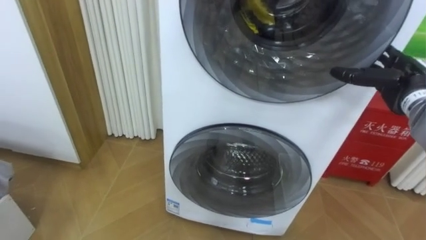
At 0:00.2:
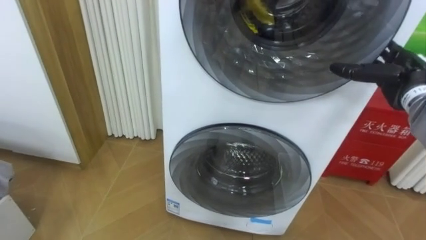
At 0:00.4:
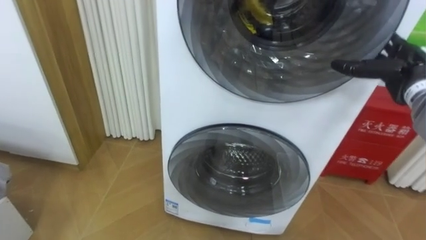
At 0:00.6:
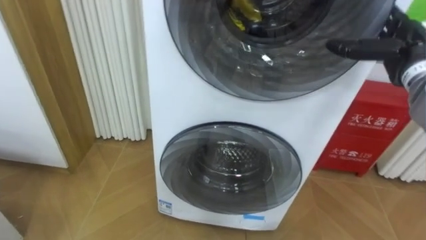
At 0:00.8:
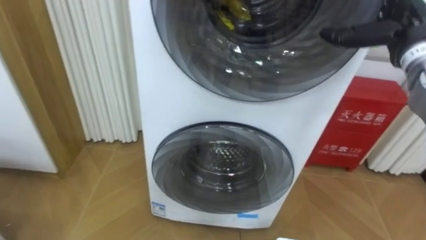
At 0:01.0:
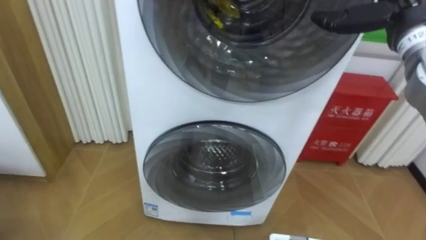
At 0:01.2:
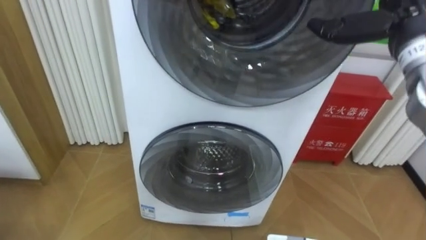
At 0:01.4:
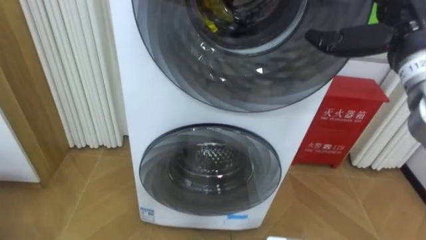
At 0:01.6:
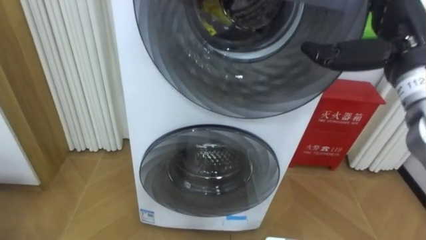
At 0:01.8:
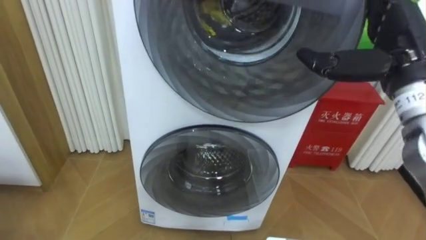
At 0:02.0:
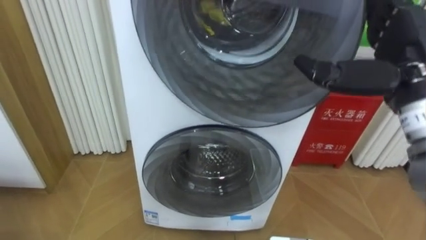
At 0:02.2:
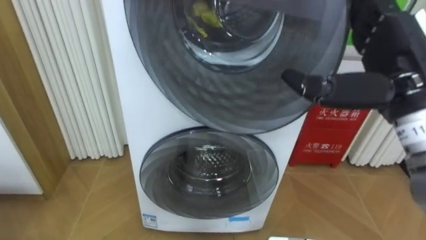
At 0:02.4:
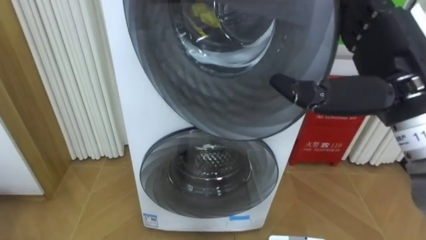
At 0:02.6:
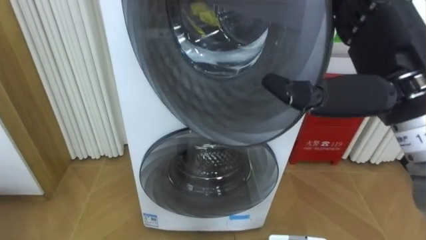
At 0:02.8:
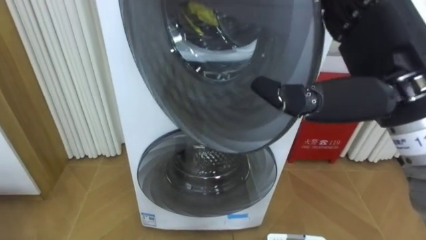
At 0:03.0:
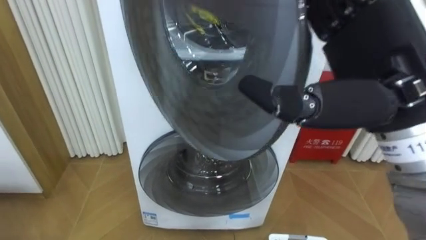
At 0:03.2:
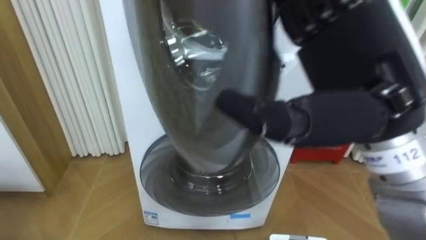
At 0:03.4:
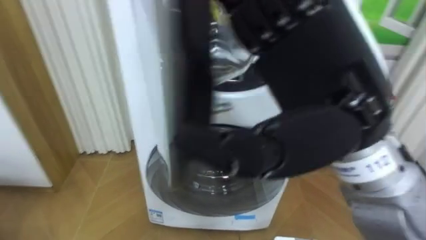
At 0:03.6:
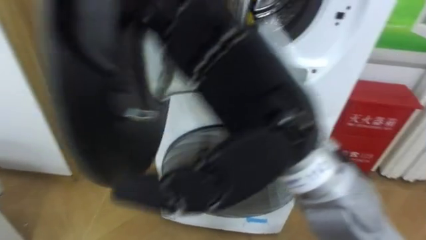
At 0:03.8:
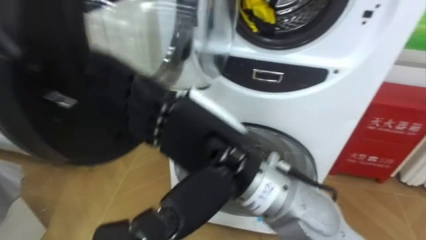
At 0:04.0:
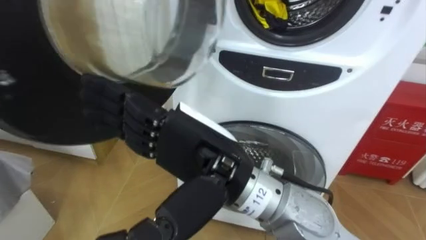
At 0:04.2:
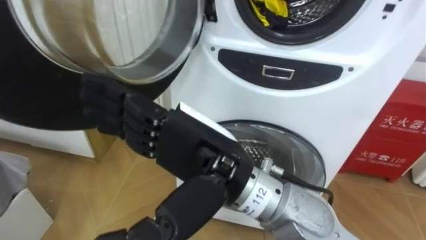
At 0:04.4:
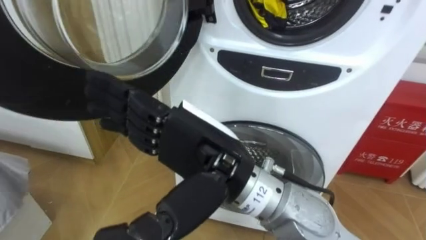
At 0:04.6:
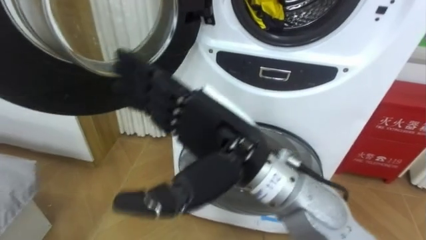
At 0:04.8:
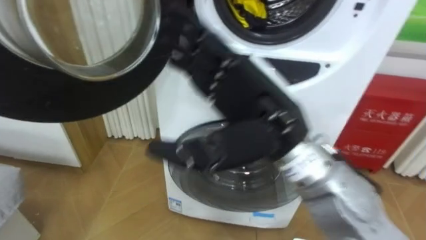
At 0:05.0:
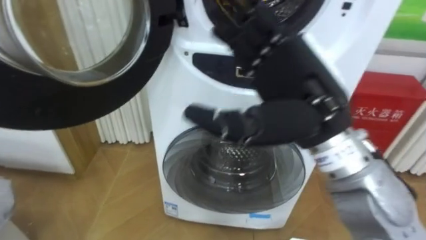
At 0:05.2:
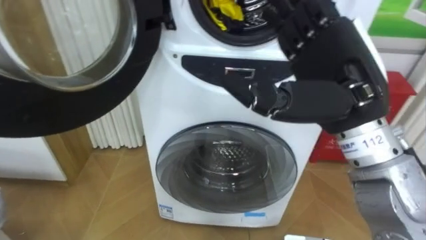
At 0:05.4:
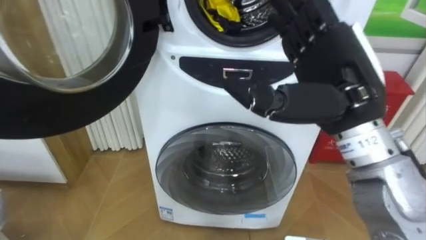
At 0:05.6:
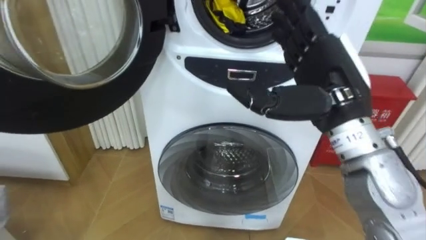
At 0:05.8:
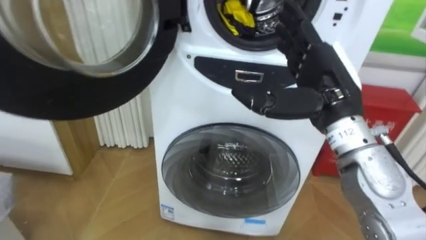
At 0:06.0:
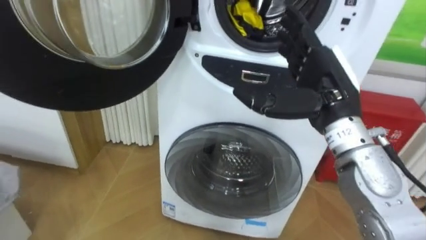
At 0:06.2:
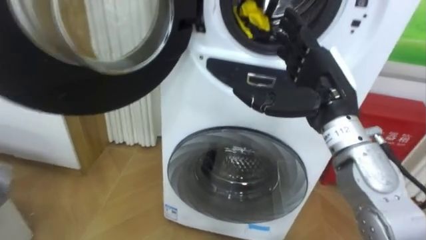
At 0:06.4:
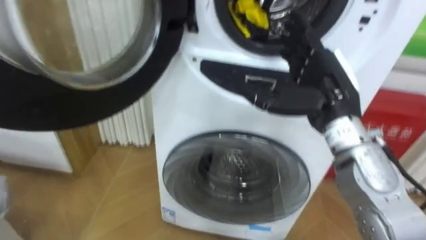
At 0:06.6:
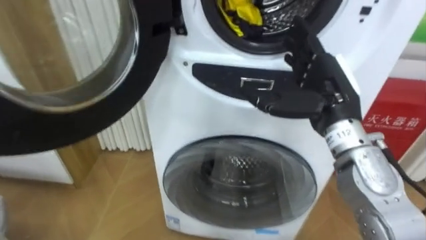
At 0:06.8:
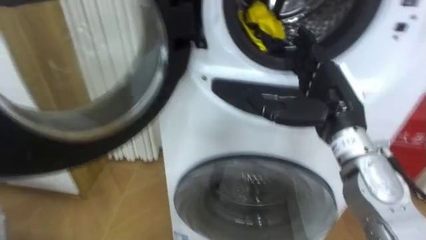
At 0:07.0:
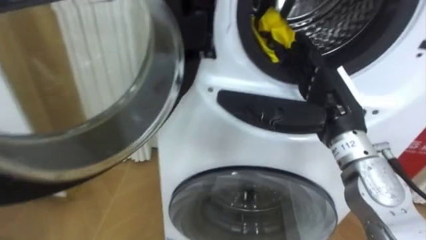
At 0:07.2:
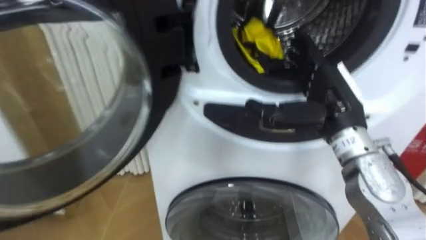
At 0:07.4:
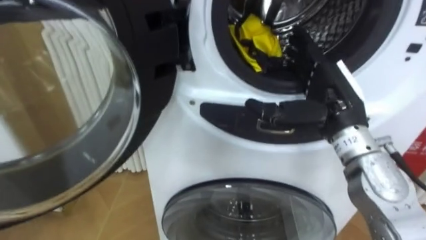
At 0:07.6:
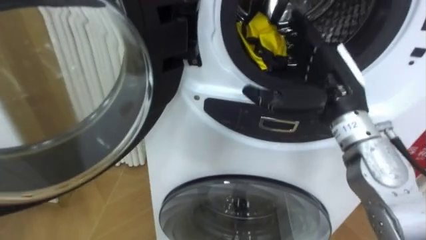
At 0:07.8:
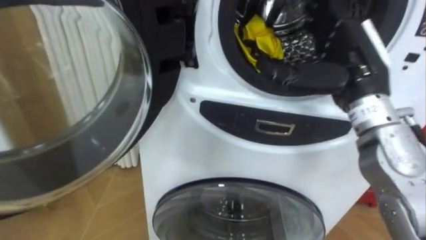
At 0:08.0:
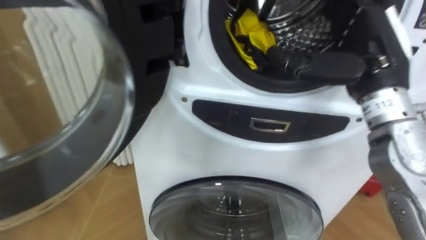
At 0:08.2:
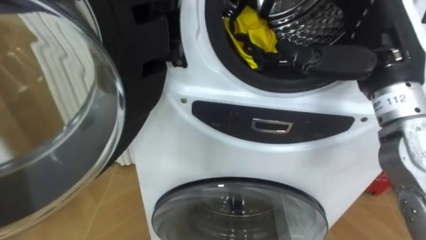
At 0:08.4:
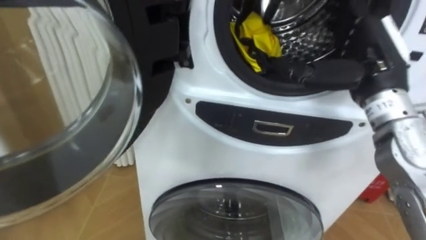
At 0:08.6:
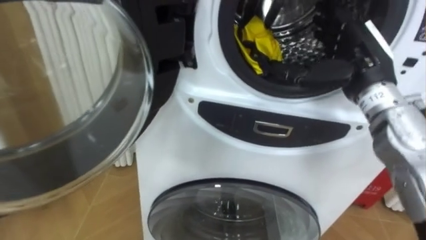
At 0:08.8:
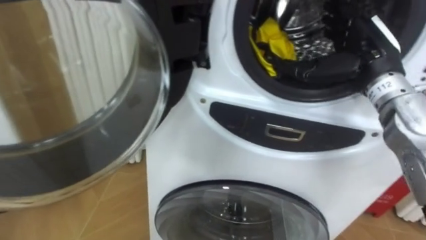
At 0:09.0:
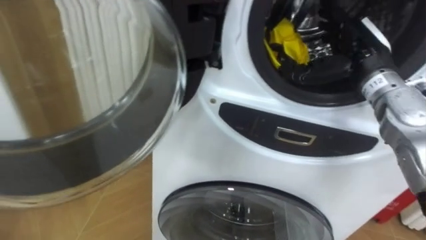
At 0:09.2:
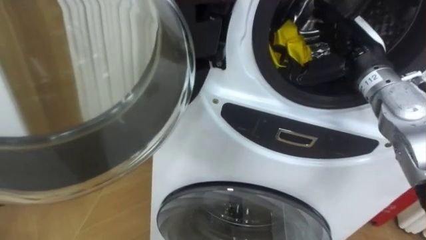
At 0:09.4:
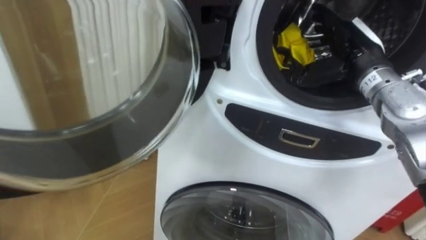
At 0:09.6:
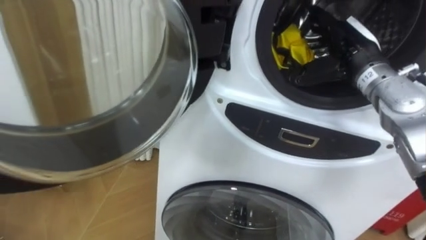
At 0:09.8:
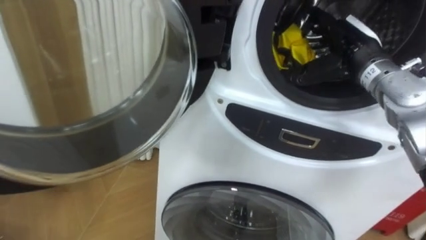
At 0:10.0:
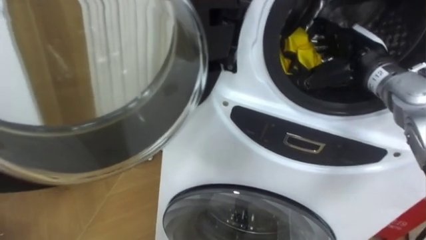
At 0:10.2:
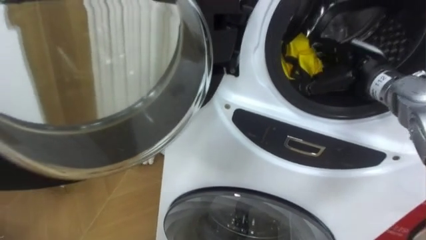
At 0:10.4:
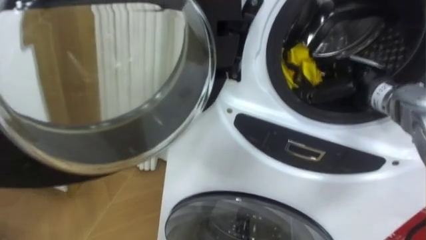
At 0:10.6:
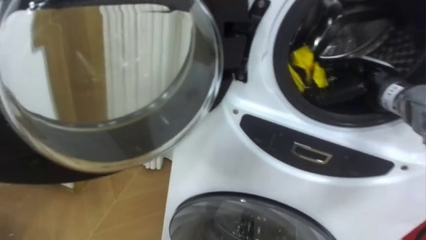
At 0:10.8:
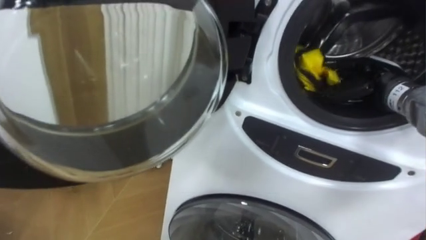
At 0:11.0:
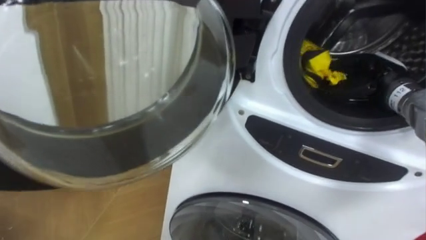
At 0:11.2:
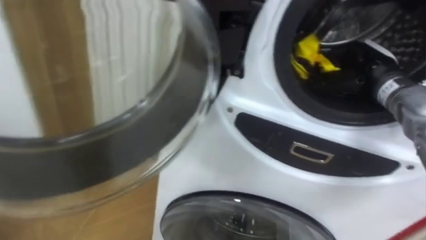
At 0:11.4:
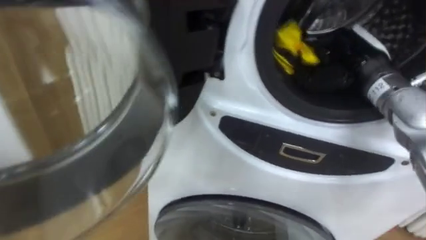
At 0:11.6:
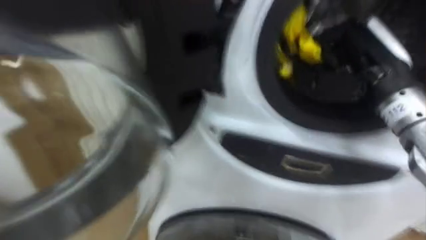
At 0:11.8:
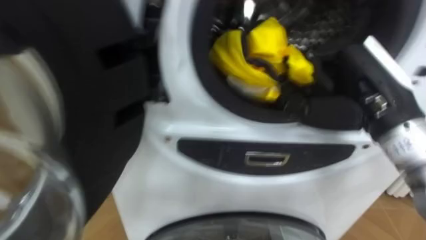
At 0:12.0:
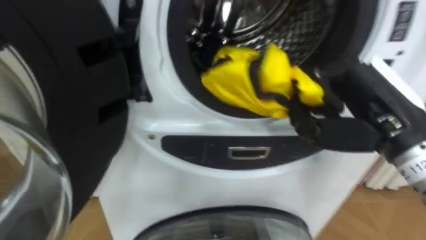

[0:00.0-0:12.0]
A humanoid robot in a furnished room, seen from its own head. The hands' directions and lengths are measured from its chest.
Task of the whole recording: Open the washing machine door, take out the yellow clothes, place them in the box on the right, and close the washing machine door.
0:00.0 to 0:01.6: The right hand moves upward, to the left and backward, approximately 15 cm.
0:01.6 to 0:03.0: The right hand moves backward and to the left, approximately 15 cm.
0:03.0 to 0:04.4: The right hand travels to the left and downward by about 20 cm.
0:04.4 to 0:06.0: The right hand moves to the right and forward, approximately 20 cm.
0:07.6 to 0:09.0: The right hand moves forward and to the right, about 10 cm.
0:09.0 to 0:10.4: The right hand is displaced downward by roughly 5 cm.
0:10.4 to 0:12.0: The right hand shifts approximately 20 cm backward and upward, and closes.

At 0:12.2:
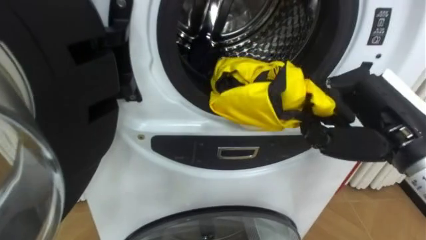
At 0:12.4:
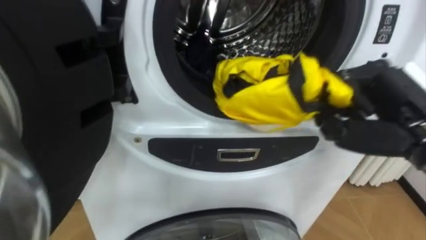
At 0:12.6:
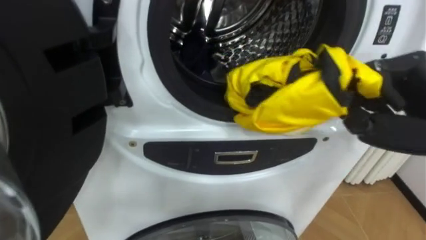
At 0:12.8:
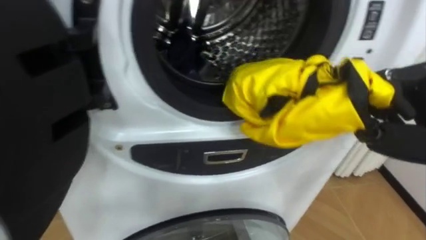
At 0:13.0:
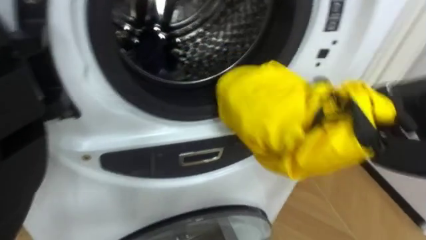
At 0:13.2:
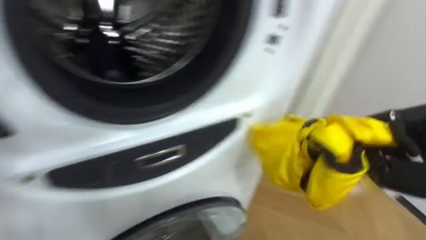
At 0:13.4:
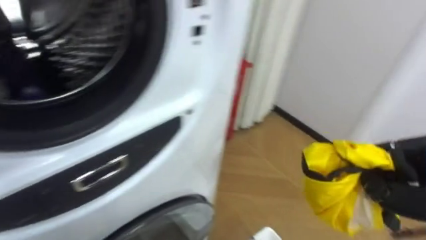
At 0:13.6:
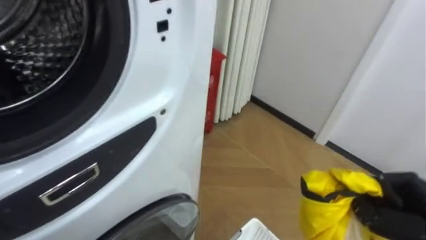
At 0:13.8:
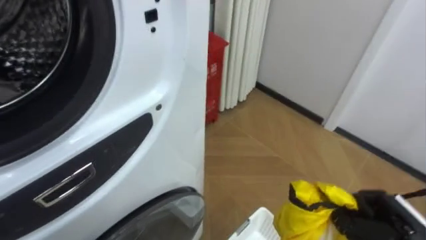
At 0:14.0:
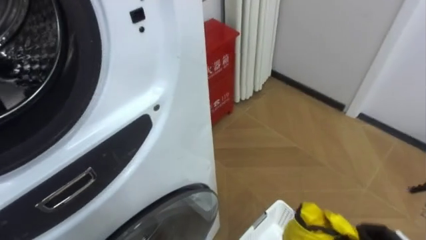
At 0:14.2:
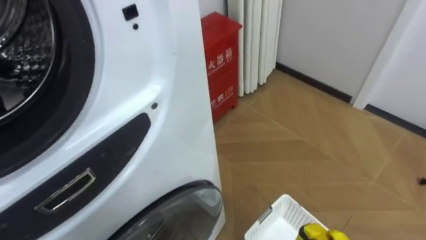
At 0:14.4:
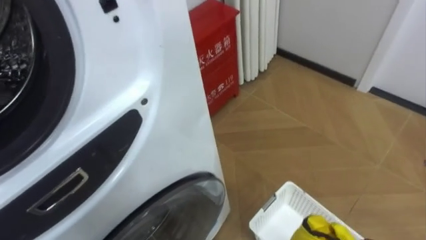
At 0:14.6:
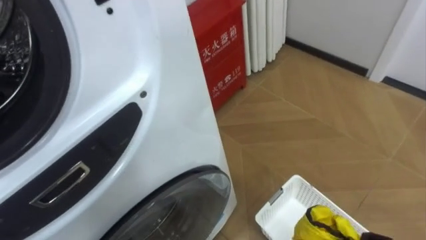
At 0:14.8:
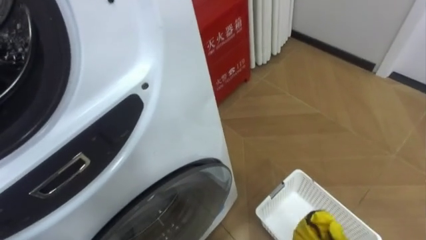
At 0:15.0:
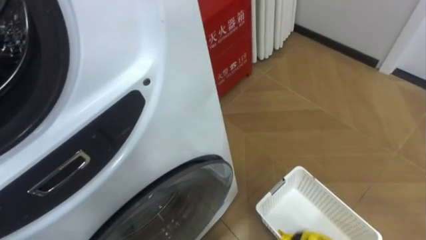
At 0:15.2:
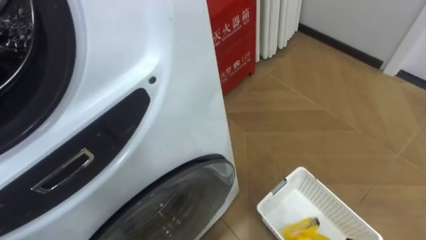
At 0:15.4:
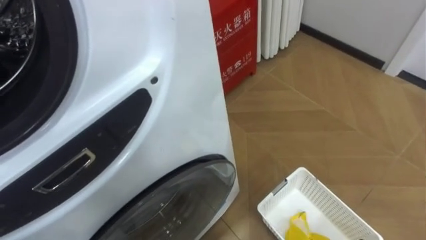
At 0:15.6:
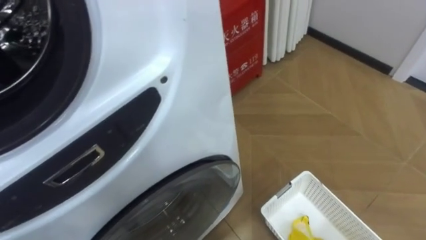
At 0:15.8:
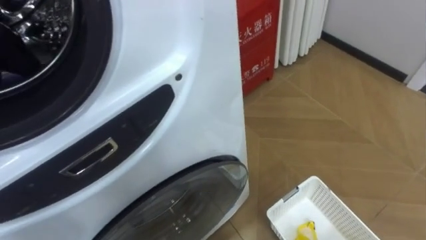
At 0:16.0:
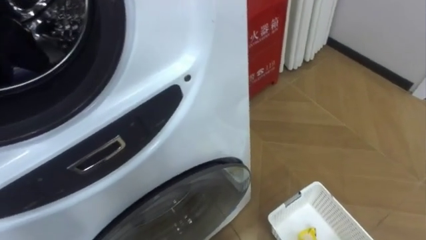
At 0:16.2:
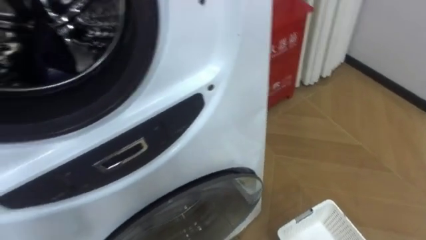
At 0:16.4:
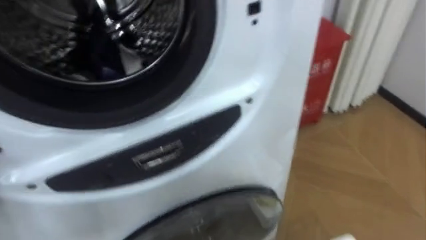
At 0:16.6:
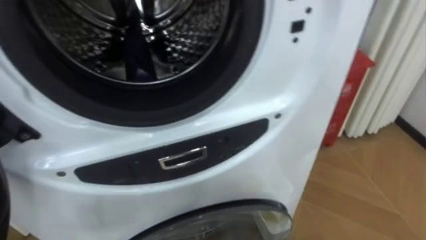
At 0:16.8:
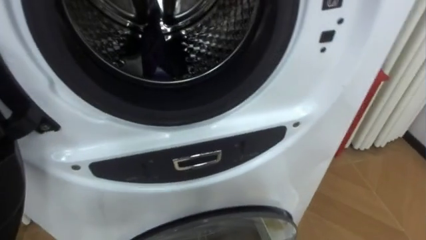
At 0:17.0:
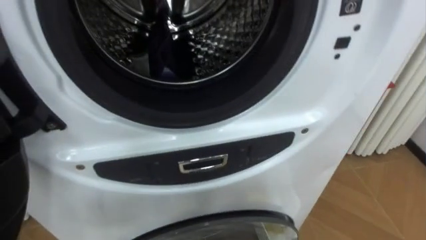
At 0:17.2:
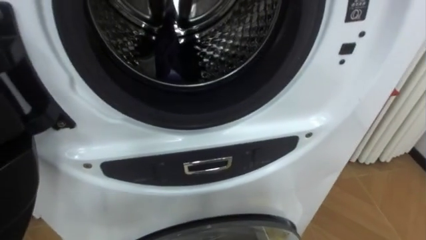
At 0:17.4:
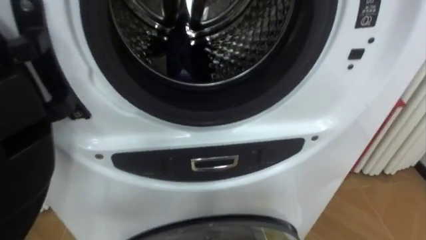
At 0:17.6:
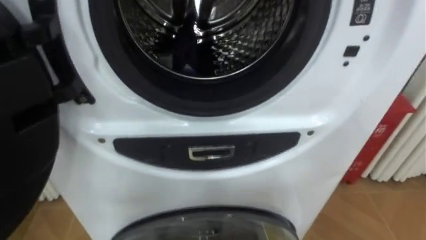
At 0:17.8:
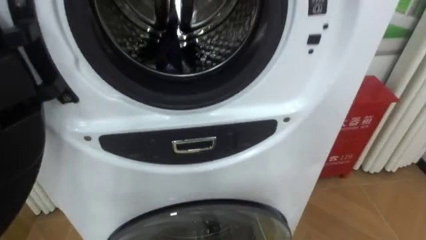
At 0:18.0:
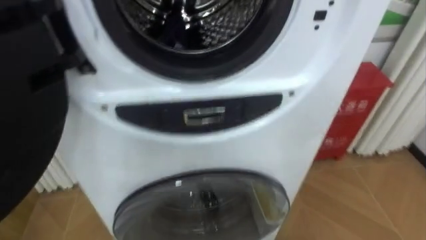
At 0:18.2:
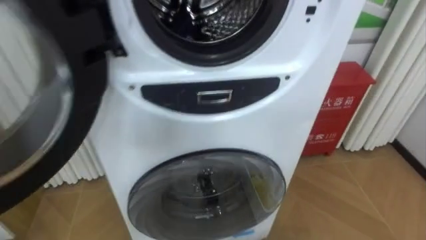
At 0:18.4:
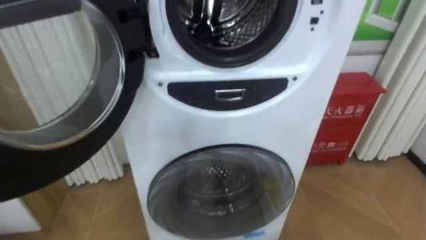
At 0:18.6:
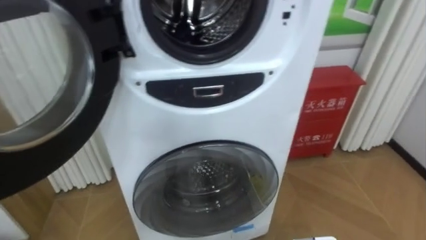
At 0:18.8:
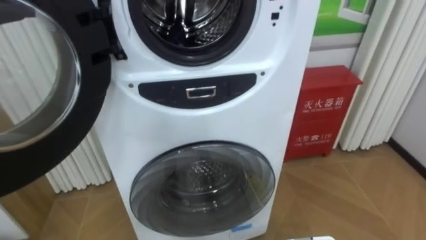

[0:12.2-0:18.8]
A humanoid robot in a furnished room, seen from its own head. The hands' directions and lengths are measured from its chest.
Task of the whole recording: Open the washing machine door, take out the yellow clothes, place them in the box on the right, and close the washing machine door.
0:12.2 to 0:13.8: The robot's body swings approximately 30 degrees to its right.
